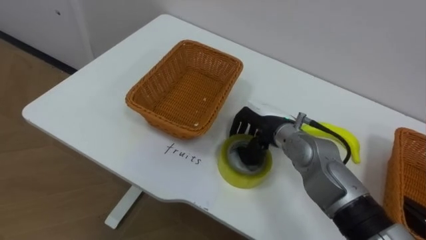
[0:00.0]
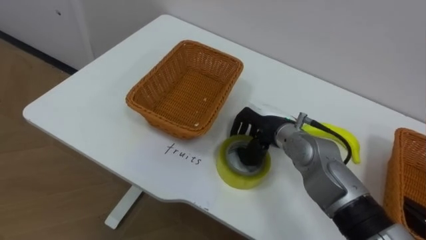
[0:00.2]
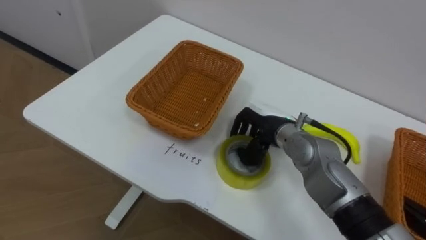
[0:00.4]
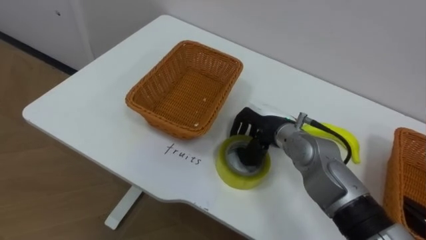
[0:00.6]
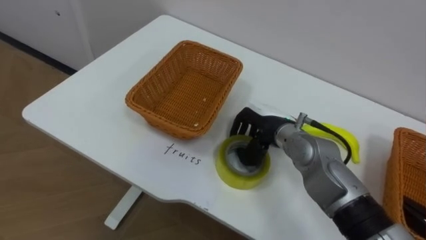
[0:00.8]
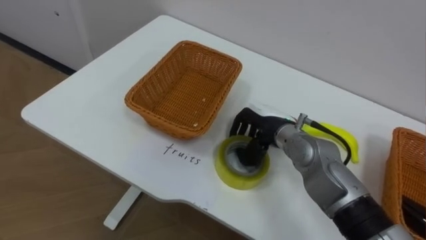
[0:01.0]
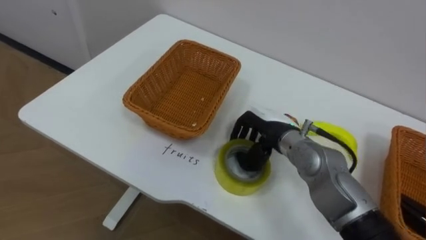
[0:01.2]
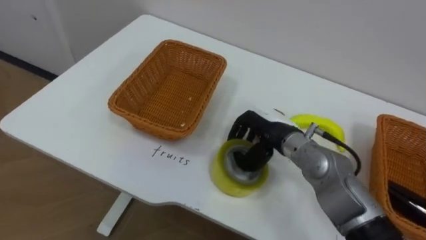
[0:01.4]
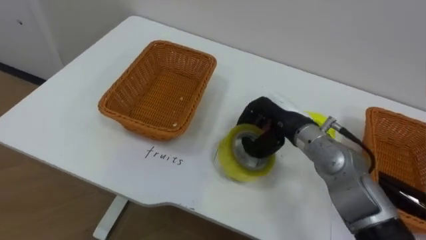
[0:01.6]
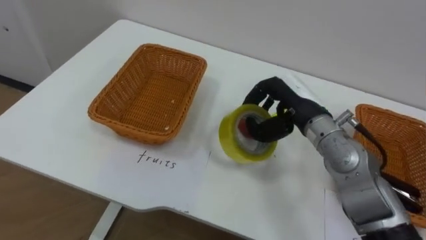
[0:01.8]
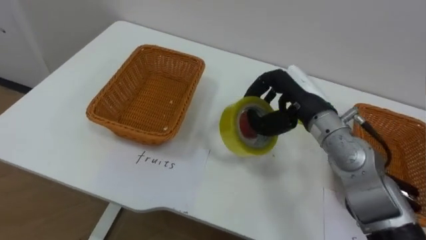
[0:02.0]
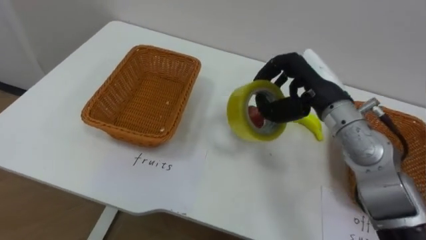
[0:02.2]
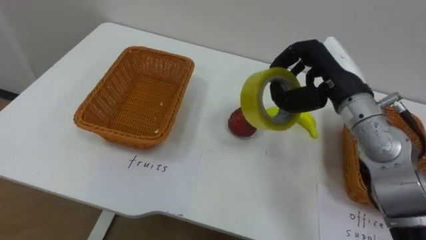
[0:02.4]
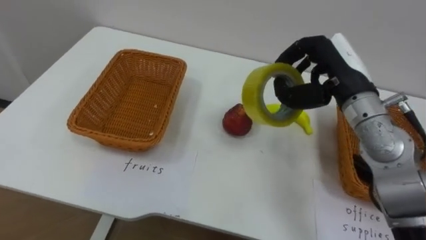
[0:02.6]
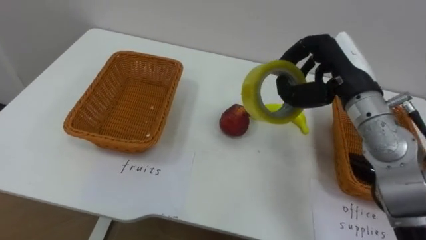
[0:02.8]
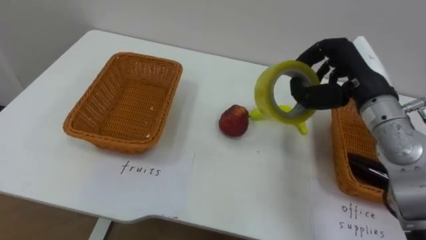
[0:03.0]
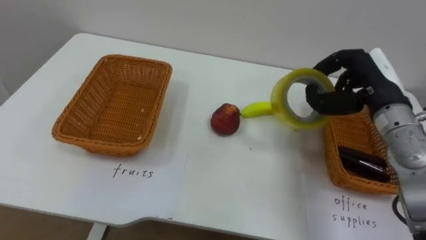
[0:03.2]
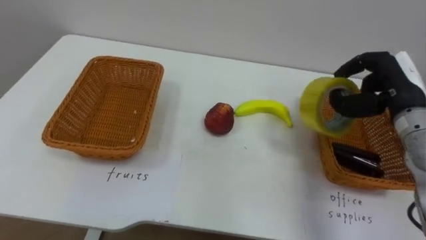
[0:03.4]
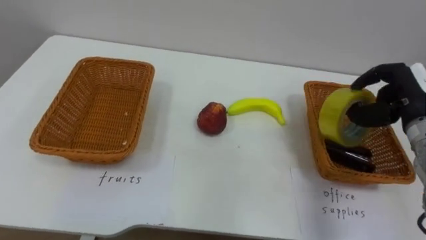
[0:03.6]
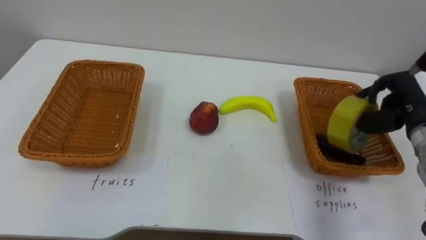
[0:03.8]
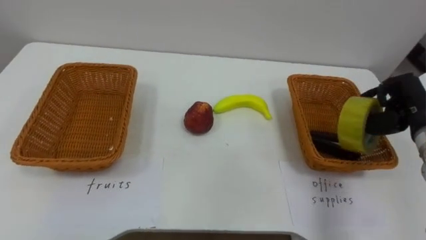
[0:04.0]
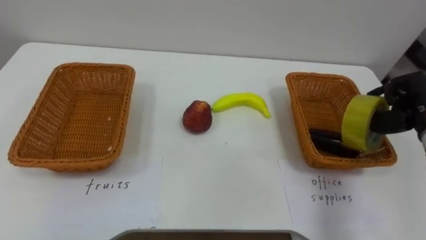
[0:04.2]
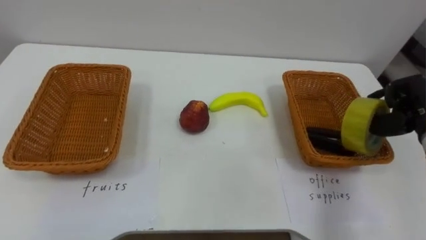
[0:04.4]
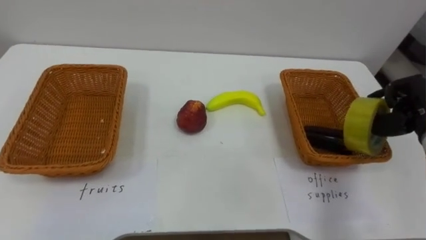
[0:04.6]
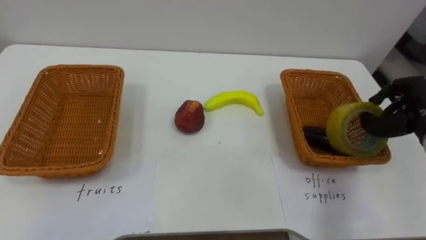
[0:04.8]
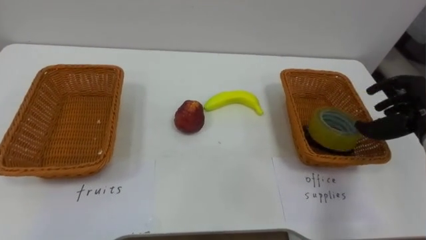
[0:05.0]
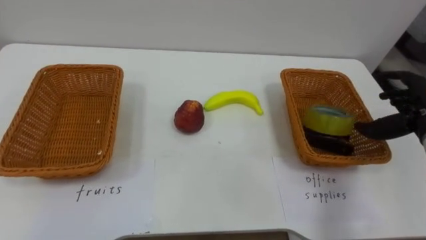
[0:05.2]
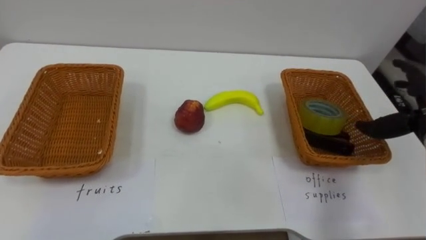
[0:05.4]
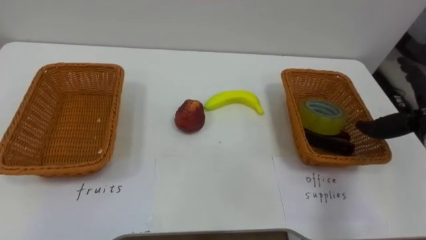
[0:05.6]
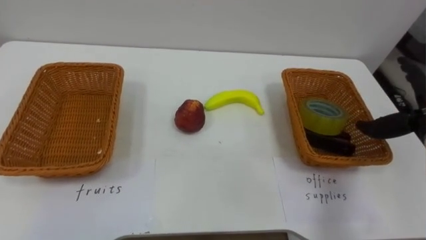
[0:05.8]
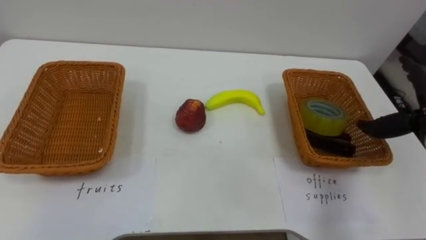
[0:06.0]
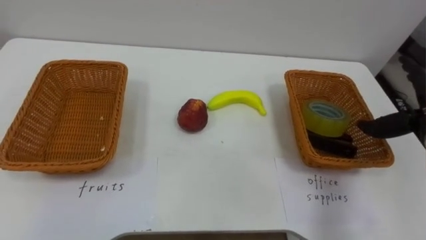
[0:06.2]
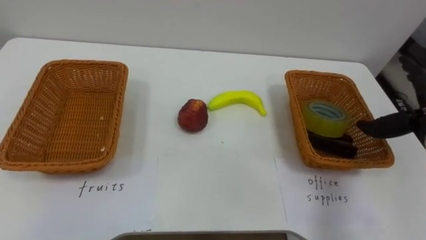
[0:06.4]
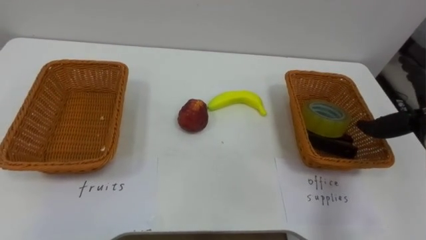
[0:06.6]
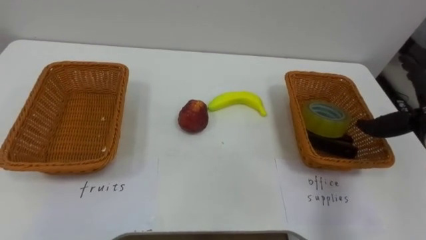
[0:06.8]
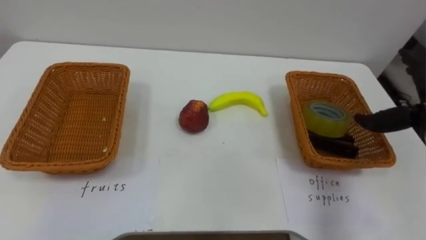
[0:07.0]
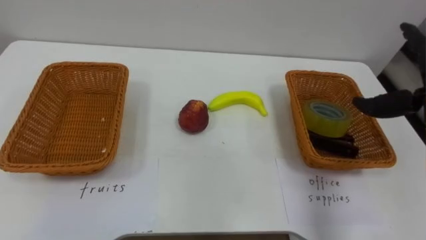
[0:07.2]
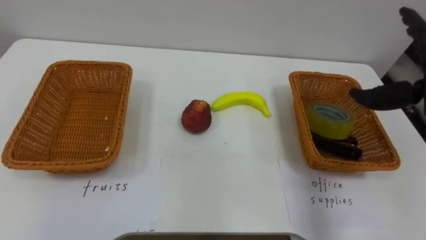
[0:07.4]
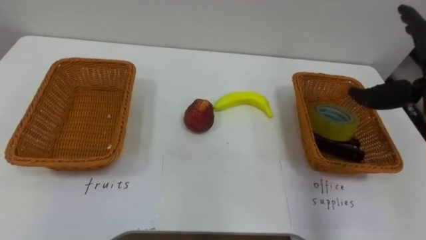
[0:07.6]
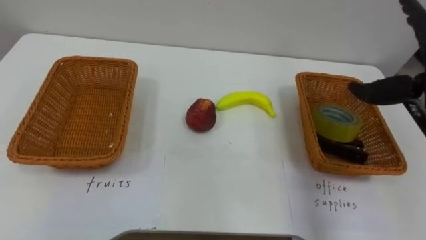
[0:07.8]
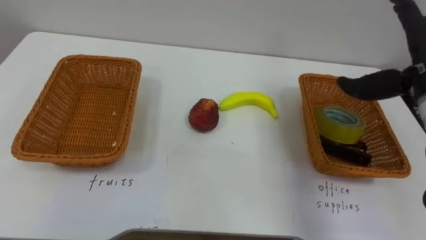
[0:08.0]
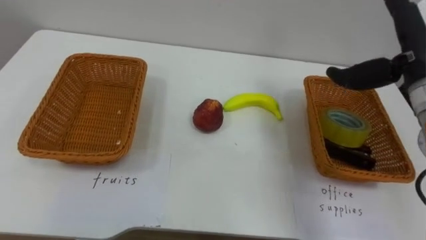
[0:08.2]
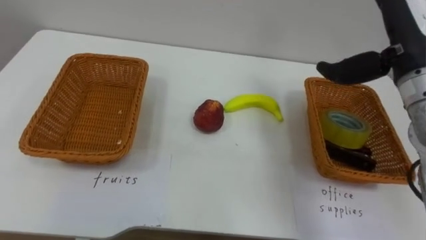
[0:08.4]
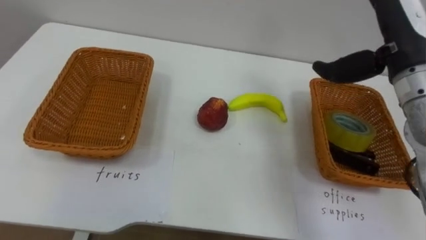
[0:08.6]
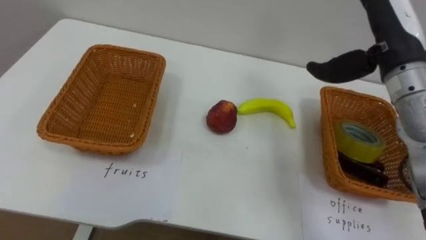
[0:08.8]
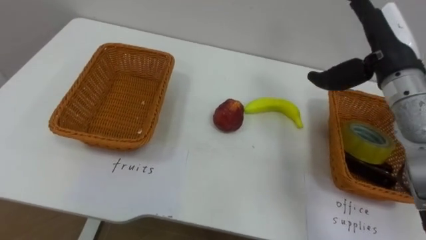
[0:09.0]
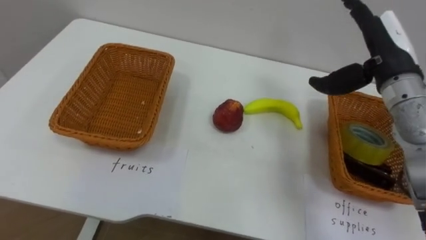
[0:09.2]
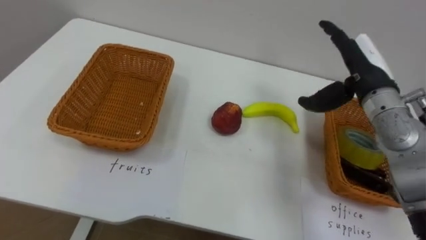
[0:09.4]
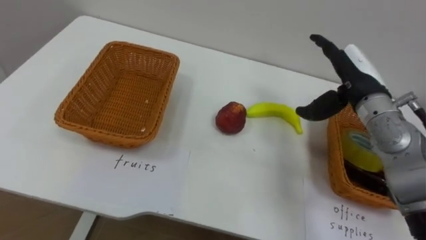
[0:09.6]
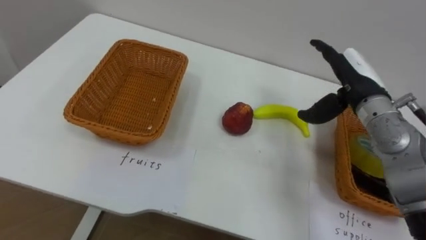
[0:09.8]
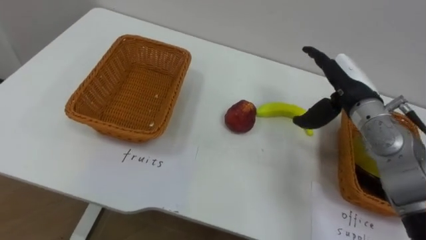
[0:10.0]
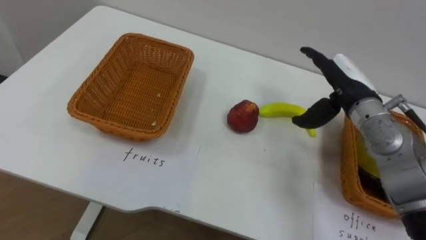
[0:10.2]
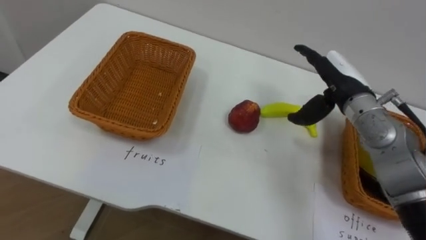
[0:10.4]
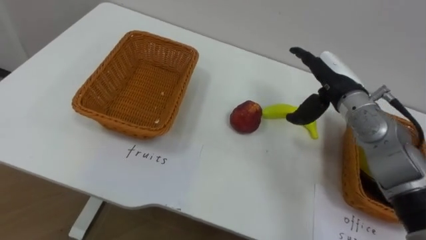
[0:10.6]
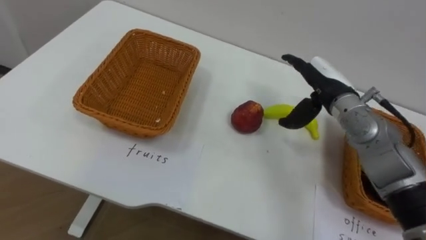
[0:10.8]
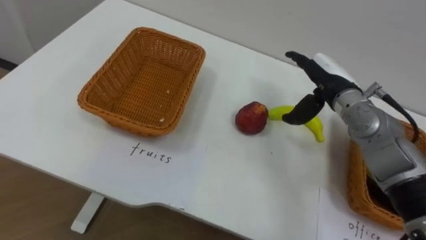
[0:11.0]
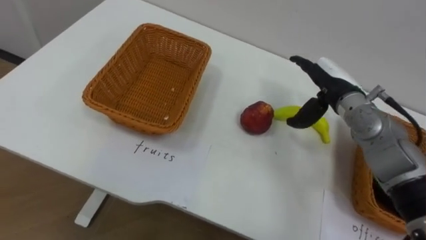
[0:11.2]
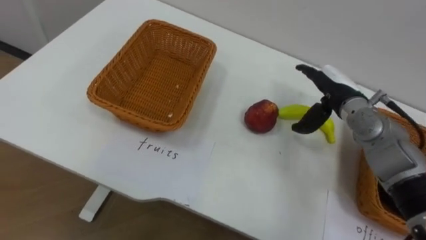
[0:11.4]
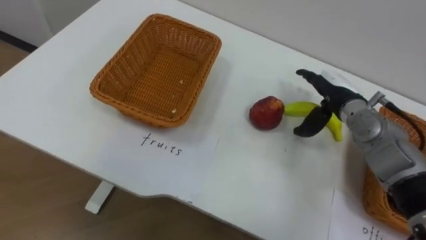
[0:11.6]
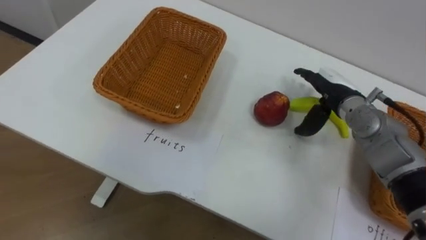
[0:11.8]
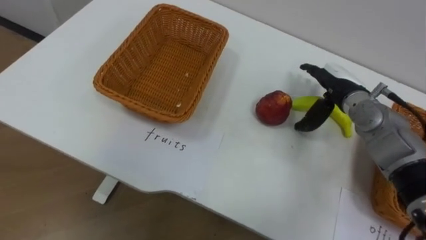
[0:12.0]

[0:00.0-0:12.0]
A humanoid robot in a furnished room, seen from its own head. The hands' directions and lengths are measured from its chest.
Task of the whole recording: Separate the items on the table and place them into the two baskets.
0:01.6 to 0:03.0: The right hand goes approximately 15 cm to the right and upward.
0:03.0 to 0:04.4: The right hand shifts roughly 15 cm to the right and downward.
0:09.0 to 0:10.4: The right hand heads downward, covering some 10 cm.
0:10.4 to 0:12.0: The right hand shifts by about 5 cm.

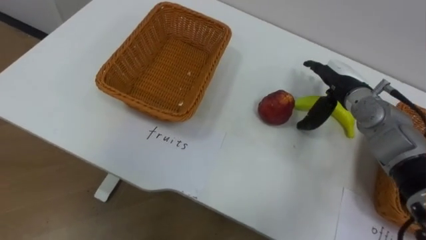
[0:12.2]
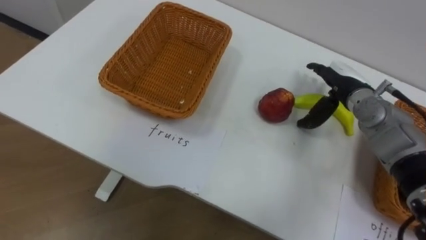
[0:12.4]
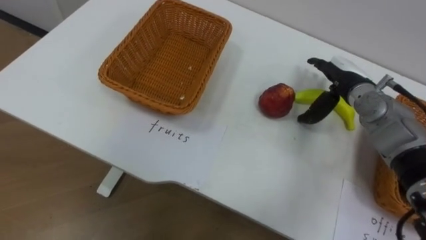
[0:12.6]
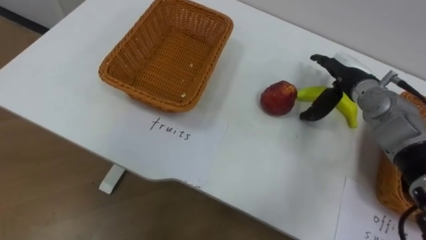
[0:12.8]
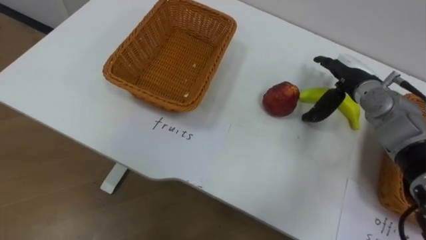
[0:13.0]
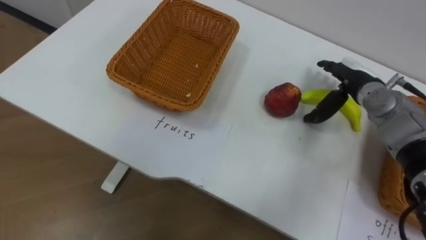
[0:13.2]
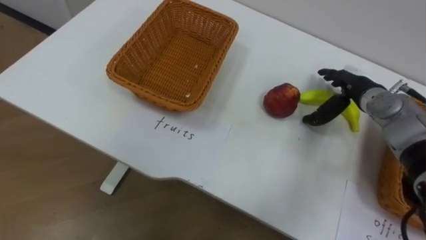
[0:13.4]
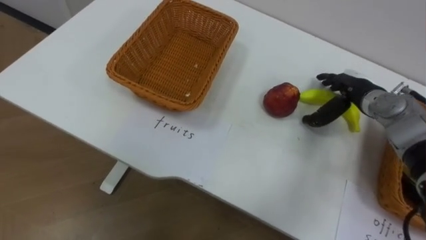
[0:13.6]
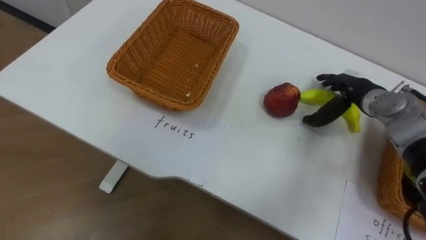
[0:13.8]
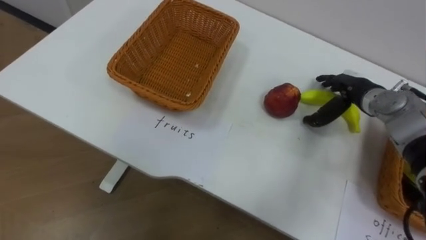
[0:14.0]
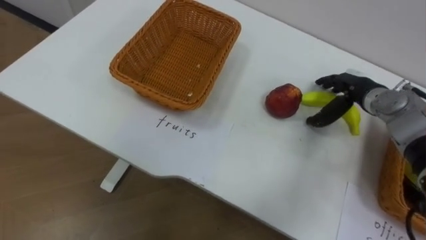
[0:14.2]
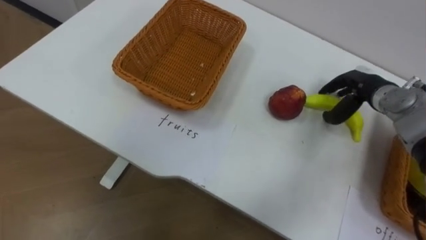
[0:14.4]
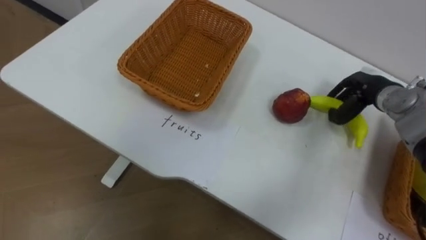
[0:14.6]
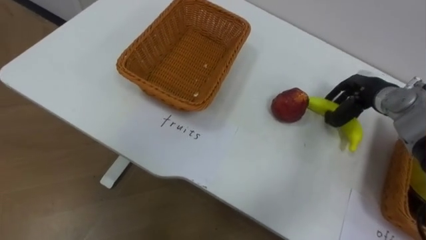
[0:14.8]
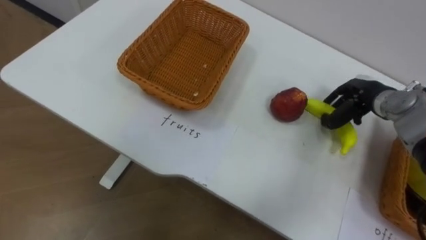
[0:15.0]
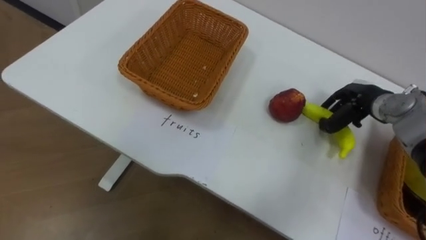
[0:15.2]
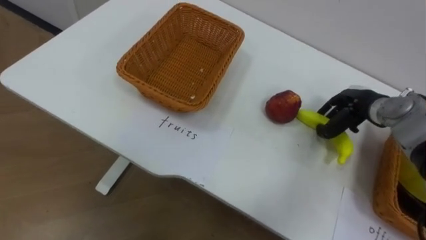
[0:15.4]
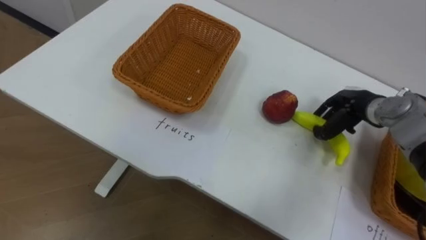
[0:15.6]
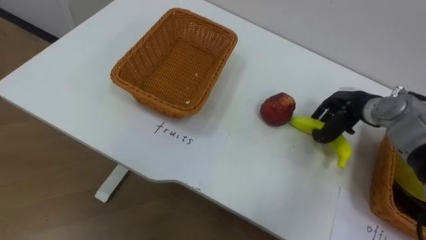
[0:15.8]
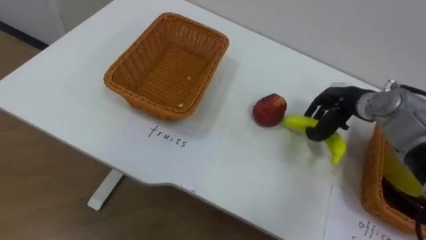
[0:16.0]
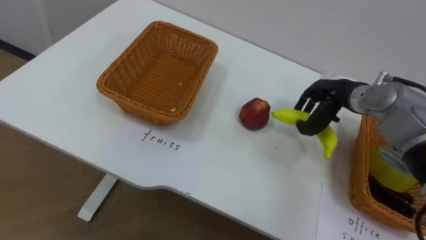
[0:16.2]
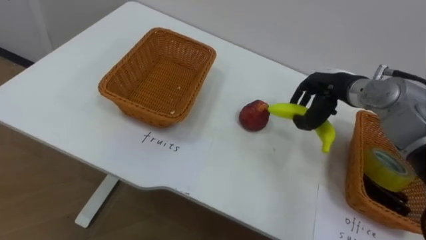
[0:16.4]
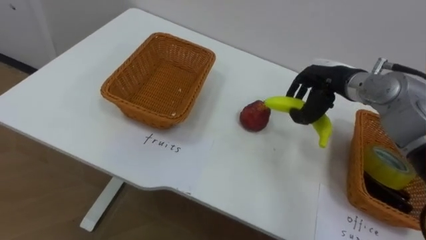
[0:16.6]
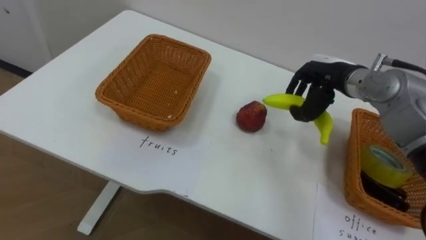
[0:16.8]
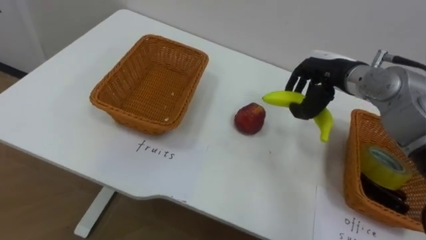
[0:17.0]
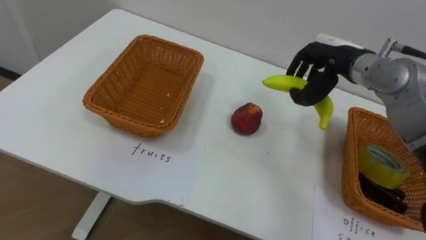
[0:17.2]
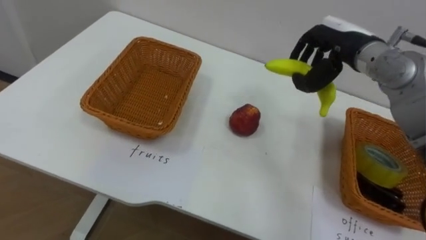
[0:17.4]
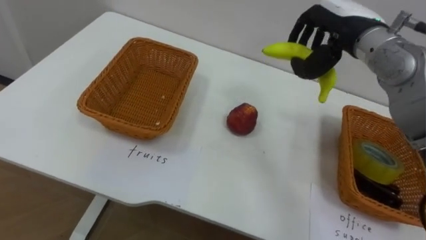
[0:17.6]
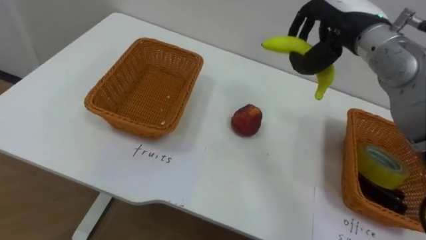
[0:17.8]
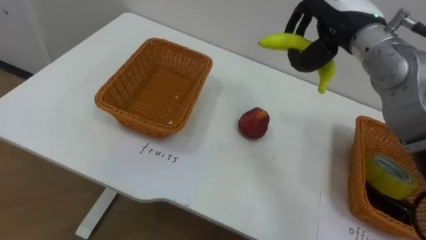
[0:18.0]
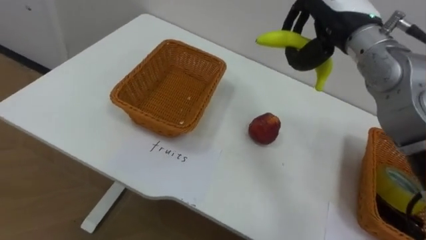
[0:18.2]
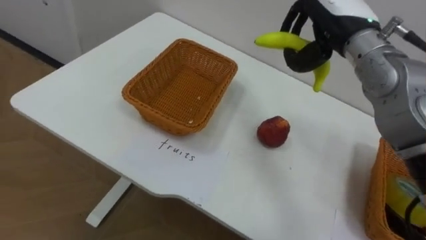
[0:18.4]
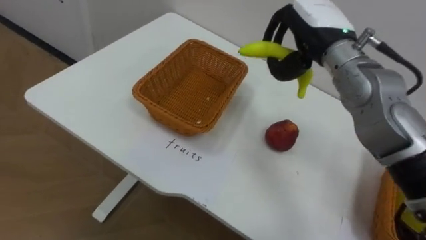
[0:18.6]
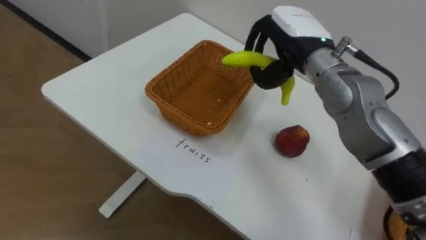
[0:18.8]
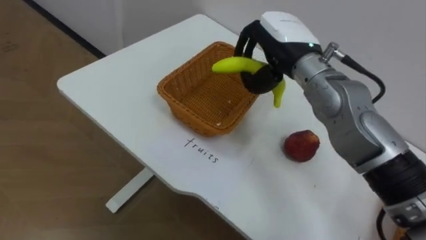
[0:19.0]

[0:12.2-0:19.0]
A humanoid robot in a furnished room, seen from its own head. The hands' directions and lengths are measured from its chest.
Task of the whole recording: Separate the items on the table and place them into the two baskets.
0:13.6 to 0:15.0: The right hand closes its fingers.
0:15.0 to 0:16.2: The right hand travels to the left by approximately 5 cm.
0:16.2 to 0:17.6: The right hand is displaced upward by some 15 cm.
0:17.6 to 0:19.0: The right hand moves to the left, approximately 10 cm.
